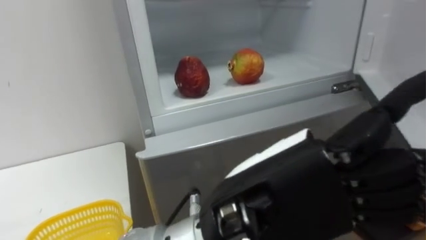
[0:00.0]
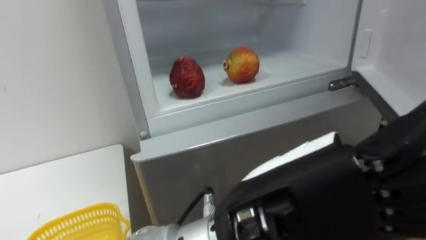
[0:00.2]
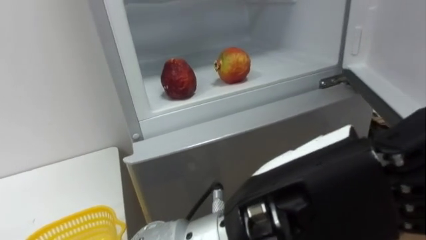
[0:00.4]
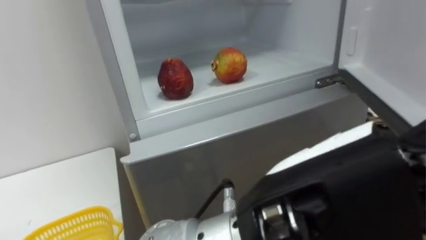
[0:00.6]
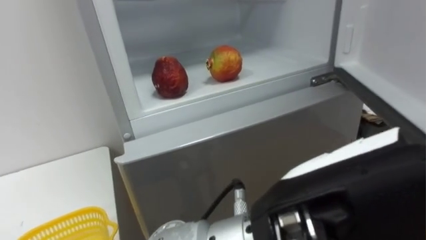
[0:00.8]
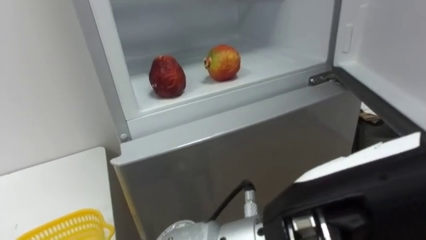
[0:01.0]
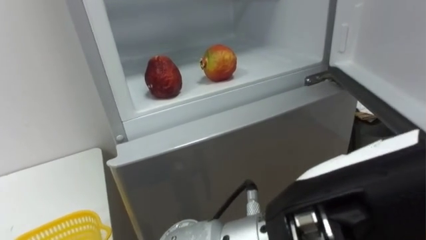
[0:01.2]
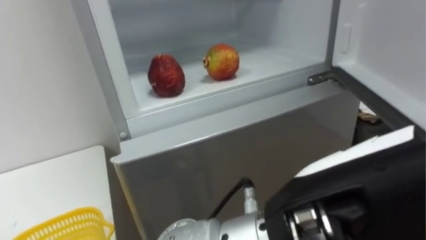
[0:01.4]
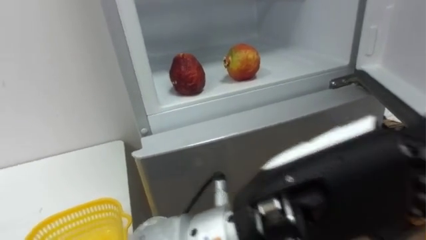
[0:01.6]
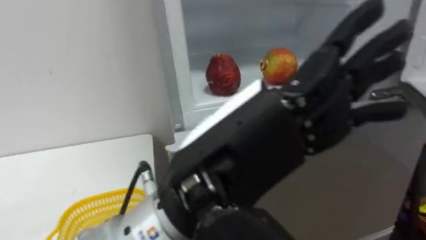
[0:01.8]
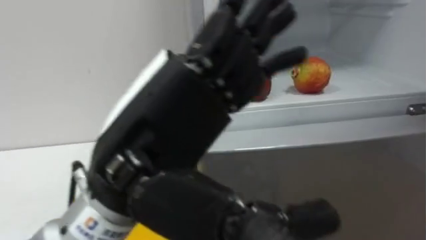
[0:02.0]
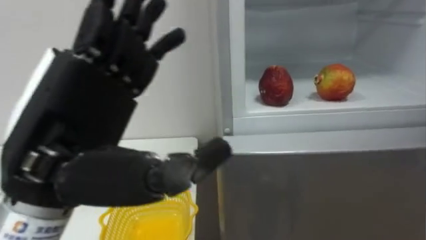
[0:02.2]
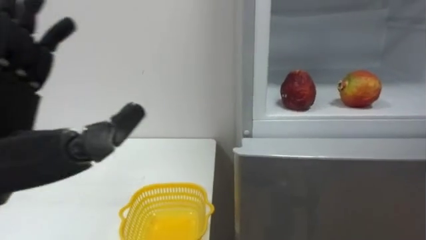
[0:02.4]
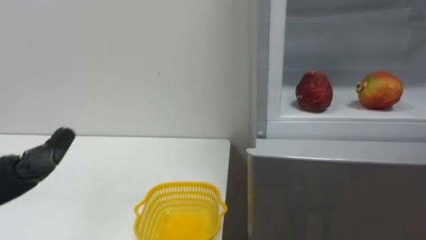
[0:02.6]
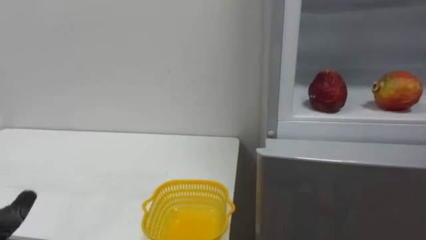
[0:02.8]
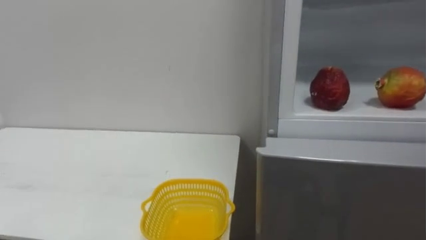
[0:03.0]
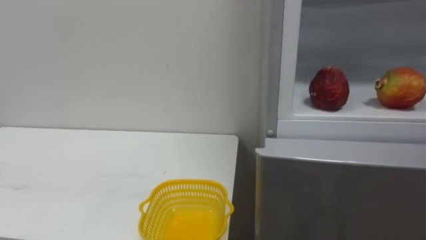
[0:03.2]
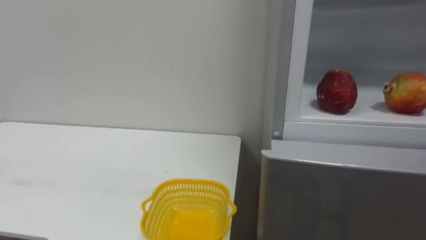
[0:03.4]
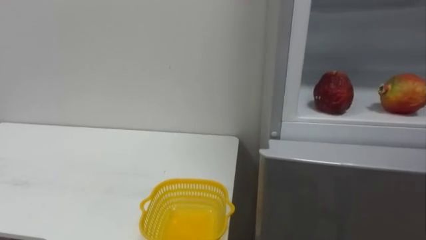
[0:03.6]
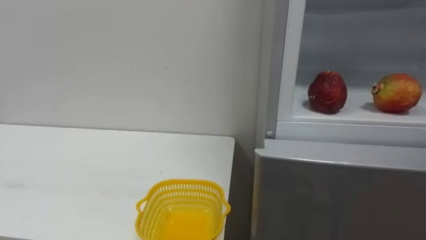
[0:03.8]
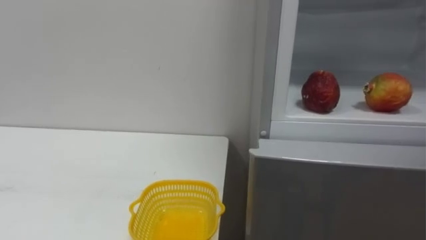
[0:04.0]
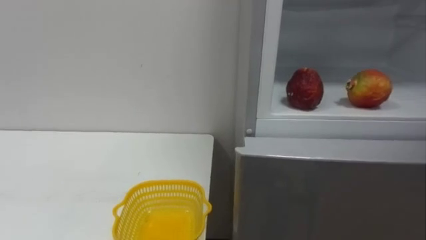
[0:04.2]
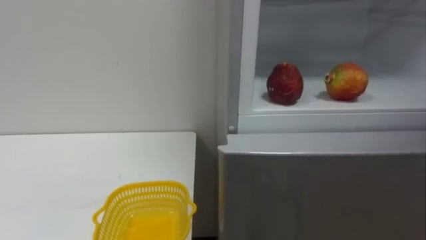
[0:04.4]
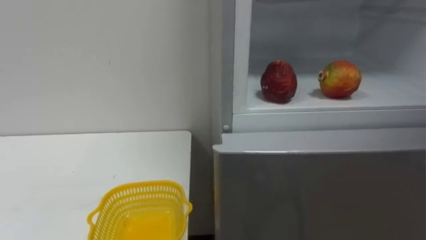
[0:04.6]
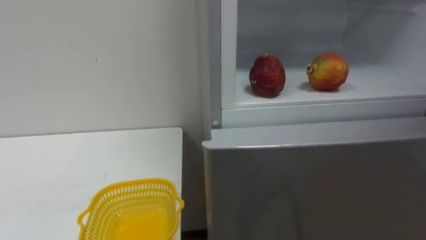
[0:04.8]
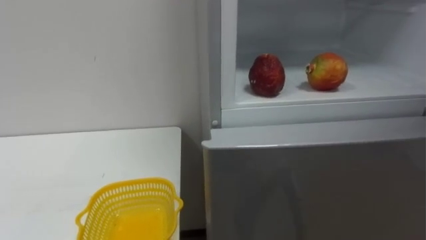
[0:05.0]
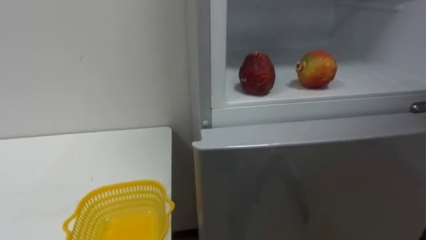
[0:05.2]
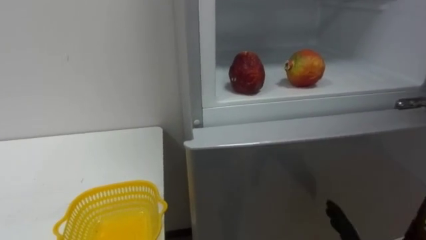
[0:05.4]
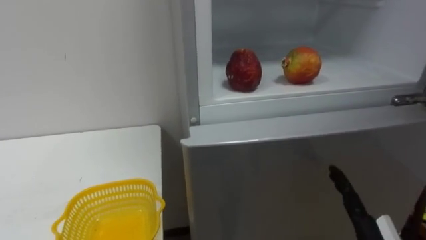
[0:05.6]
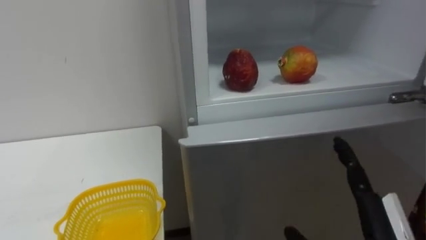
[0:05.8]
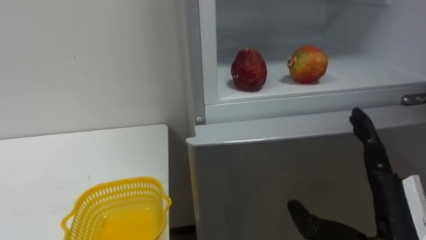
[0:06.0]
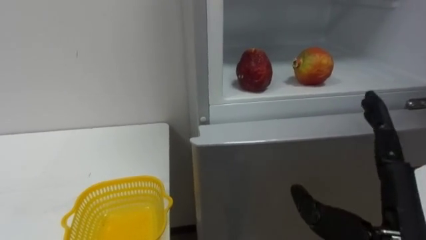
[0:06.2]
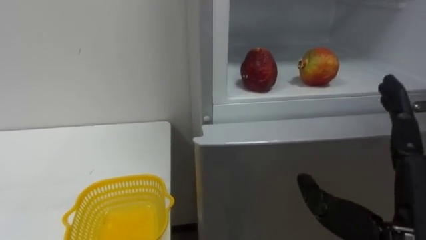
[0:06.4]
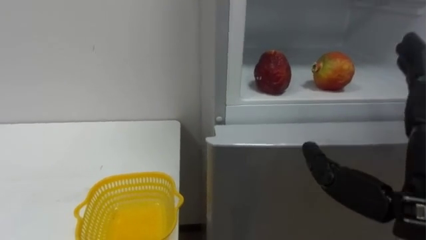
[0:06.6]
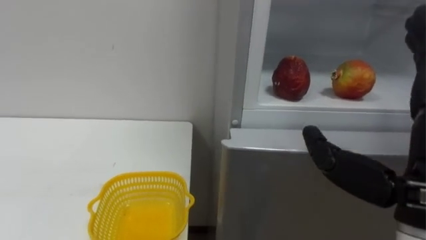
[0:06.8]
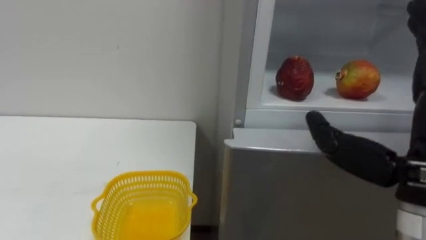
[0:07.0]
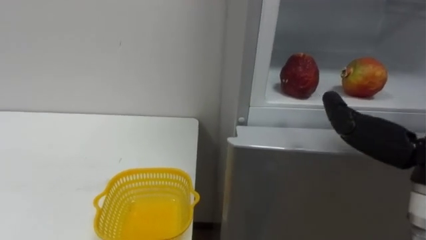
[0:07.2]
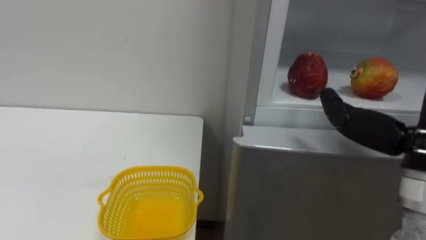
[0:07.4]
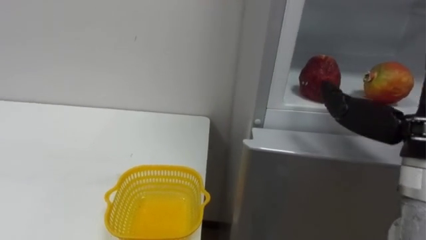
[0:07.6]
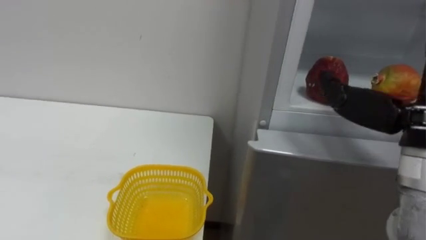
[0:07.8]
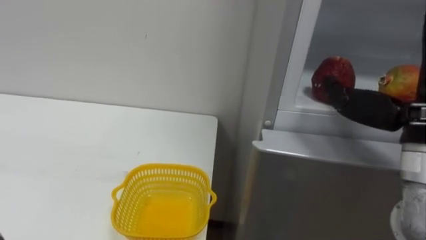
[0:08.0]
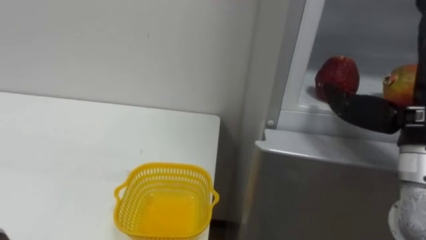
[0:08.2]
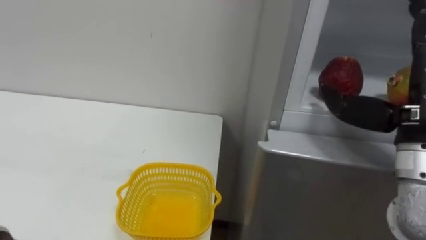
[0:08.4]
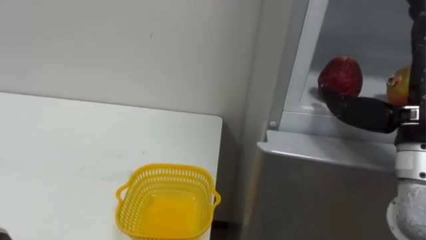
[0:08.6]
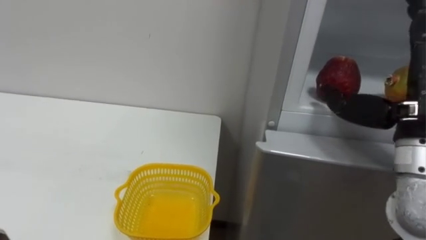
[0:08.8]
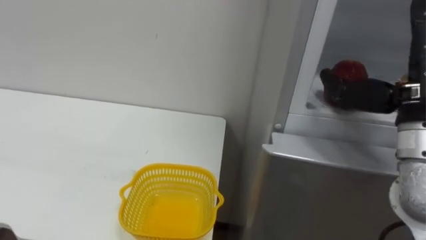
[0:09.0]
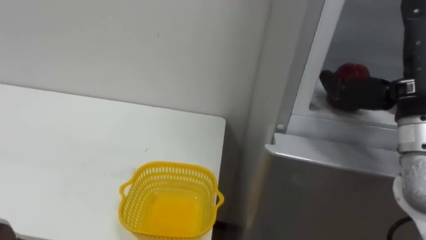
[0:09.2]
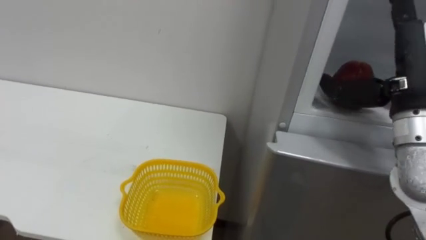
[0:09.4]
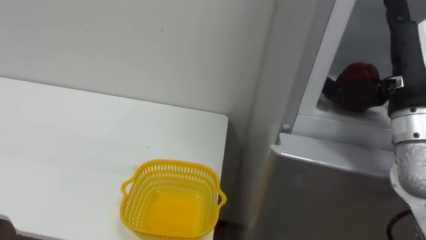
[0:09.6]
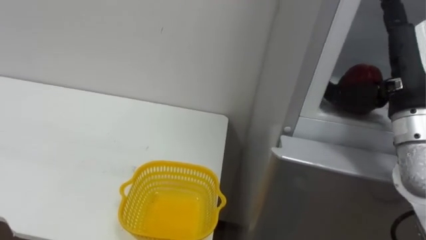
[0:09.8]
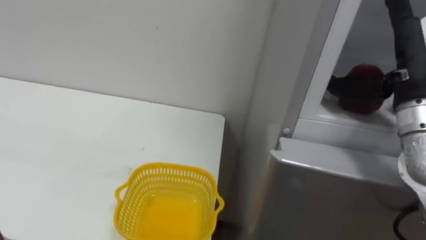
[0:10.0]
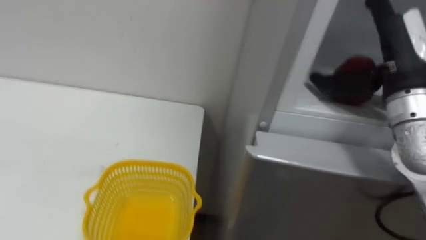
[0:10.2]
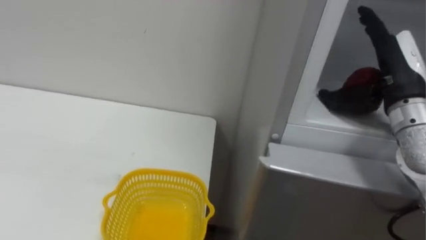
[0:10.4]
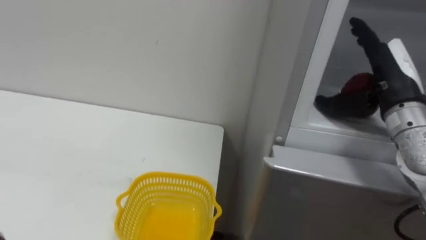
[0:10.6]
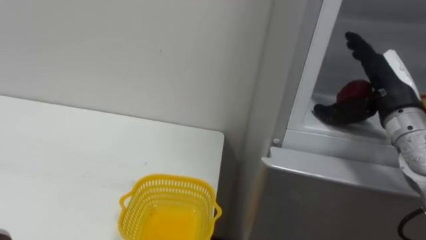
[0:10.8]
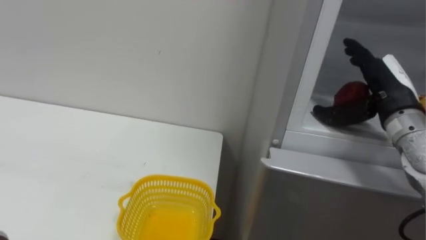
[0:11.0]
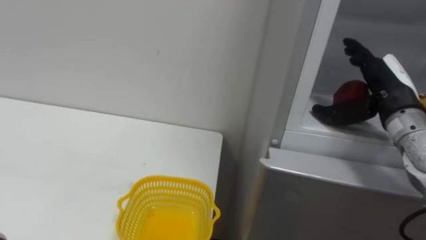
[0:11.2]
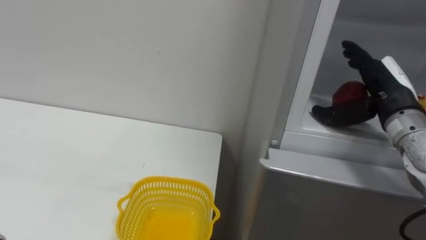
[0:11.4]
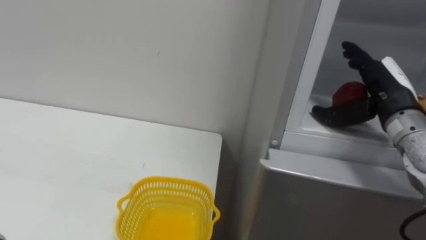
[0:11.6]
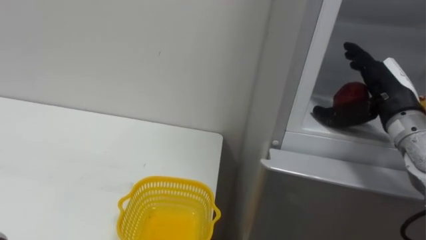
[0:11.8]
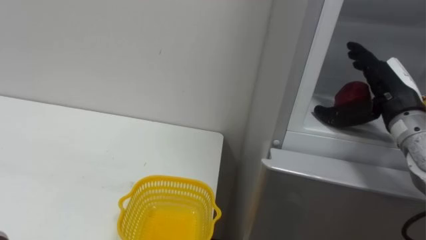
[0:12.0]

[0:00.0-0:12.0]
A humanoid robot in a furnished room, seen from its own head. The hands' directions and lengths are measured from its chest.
Task of the whole recording: Open the refrigerator door, take out the apple and the pomegranate, place them in the fruit basket on the left, and close the refrigerator door.
0:09.0 to 0:10.4: The right hand is displaced forward by about 10 cm.

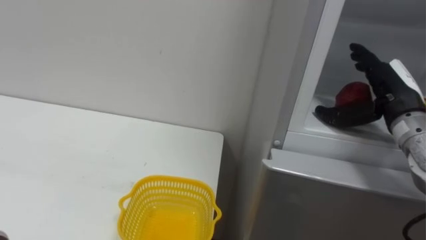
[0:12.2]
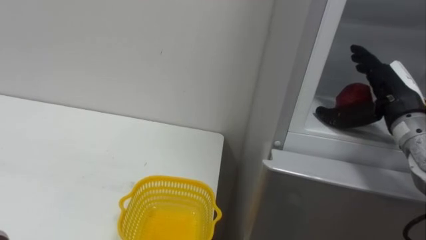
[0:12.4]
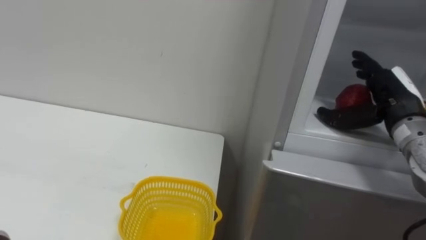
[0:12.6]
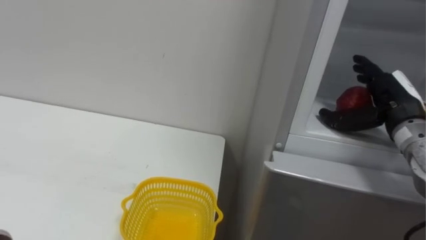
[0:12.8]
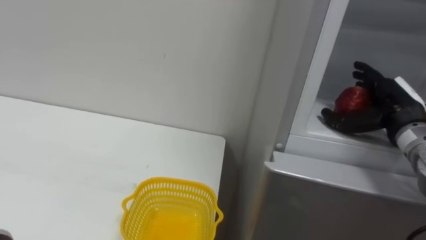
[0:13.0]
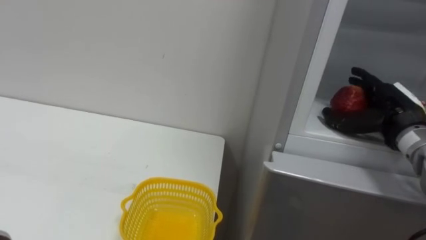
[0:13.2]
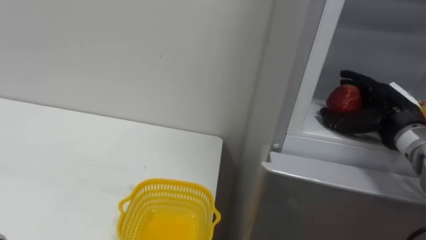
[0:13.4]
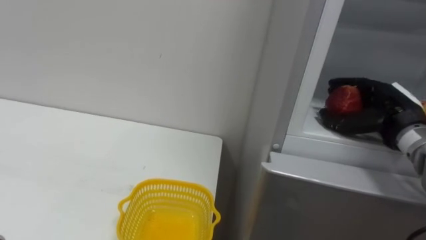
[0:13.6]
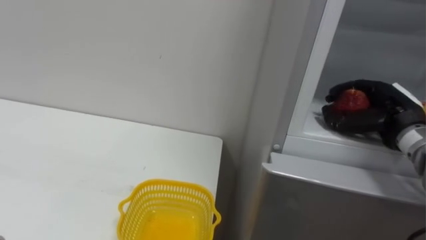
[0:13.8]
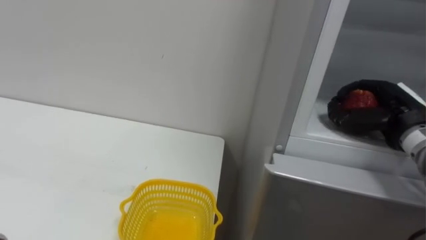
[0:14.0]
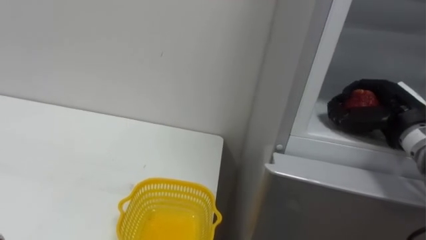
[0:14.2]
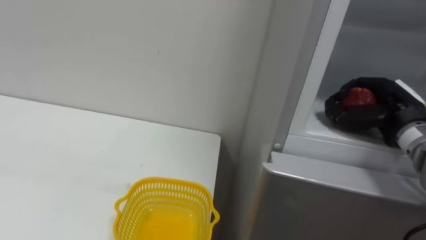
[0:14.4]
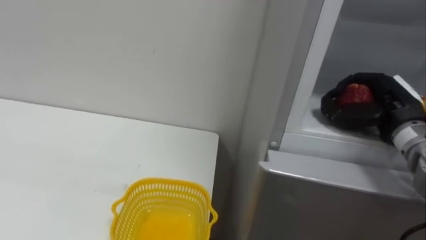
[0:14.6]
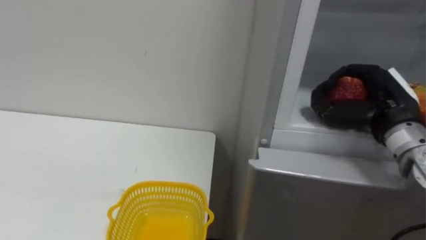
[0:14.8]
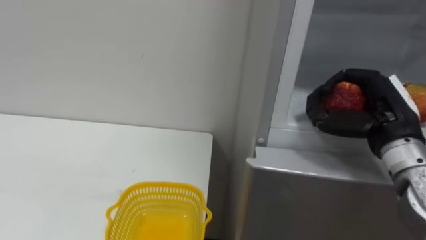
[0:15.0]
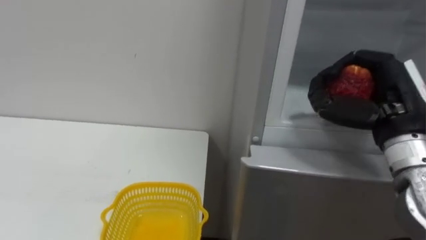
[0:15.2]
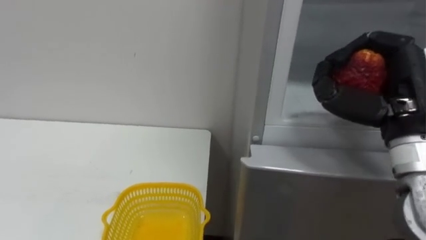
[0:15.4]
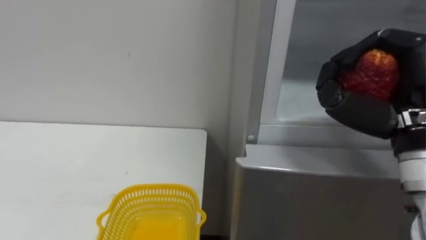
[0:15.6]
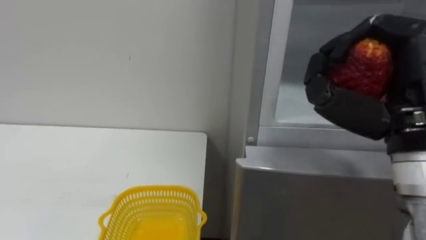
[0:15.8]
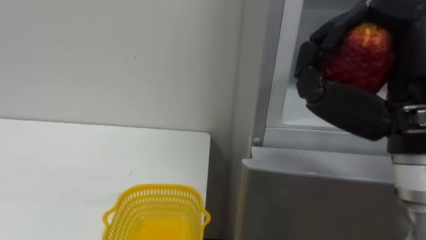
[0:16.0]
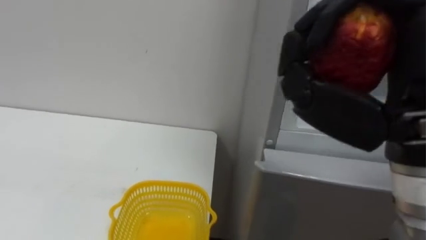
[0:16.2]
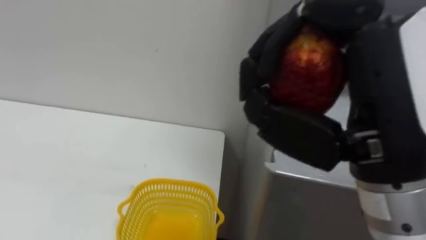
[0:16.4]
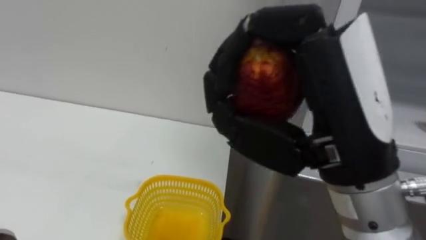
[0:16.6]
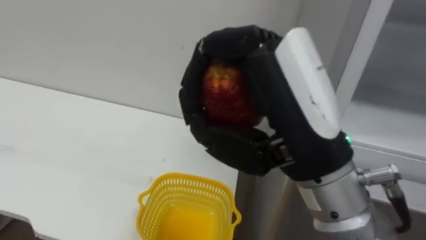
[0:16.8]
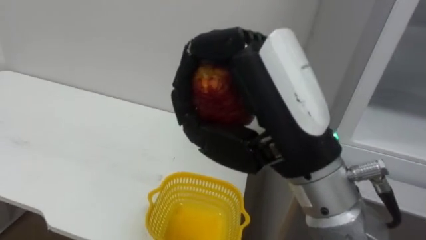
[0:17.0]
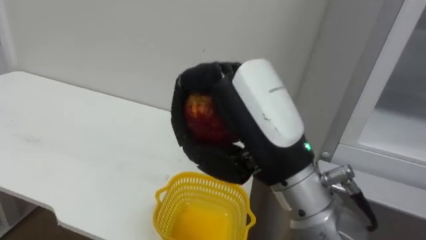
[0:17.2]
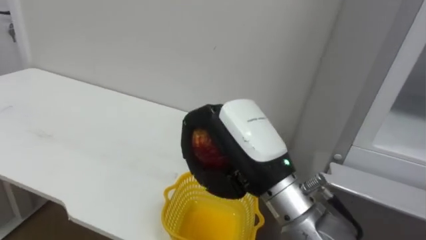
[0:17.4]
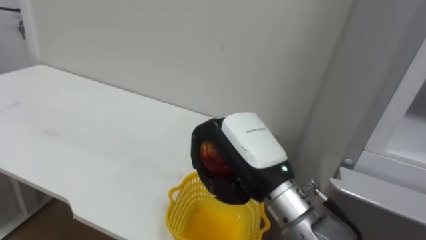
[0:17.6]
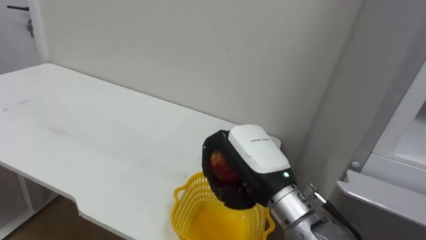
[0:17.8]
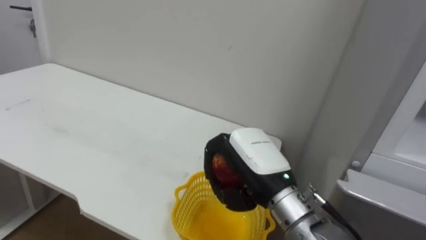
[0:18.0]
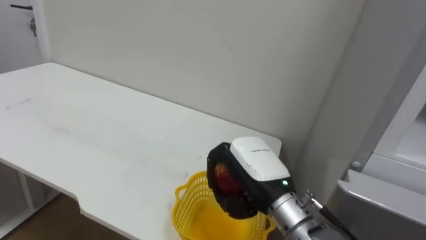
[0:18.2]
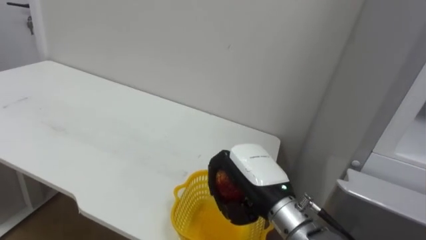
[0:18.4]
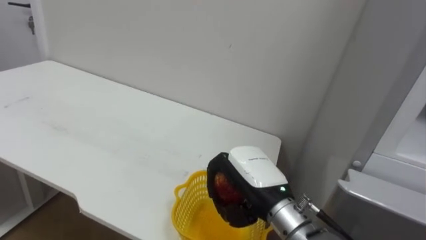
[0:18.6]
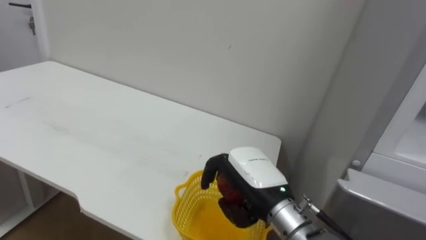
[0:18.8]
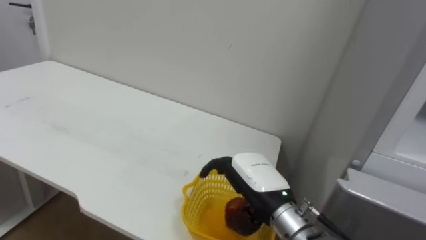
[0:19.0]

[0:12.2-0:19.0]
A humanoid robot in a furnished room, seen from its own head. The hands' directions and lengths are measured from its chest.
Task of the whole recording: Open the refrigerator door, take out the apple and the pomegranate, place them in the fruit basket on the left, and close the refrigerator door.
0:13.6 to 0:15.0: The right hand goes approximately 5 cm backward, and closes.
0:15.0 to 0:16.2: The right hand is displaced backward, upward and to the left by approximately 20 cm.
0:16.2 to 0:17.6: The right hand moves downward, to the left and forward, roughly 20 cm.
0:17.6 to 0:19.0: The right hand heads downward, covering approximately 10 cm, and opens its fingers.
